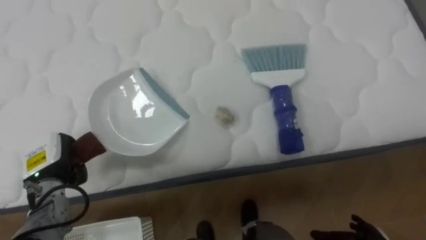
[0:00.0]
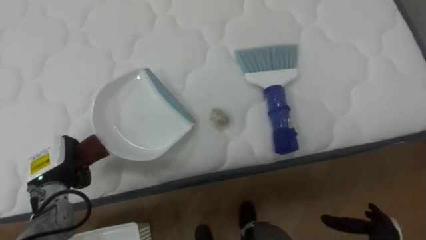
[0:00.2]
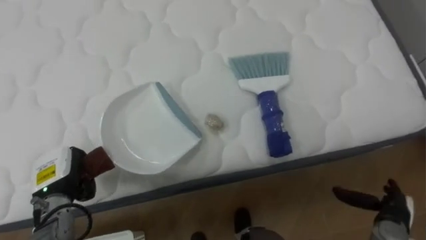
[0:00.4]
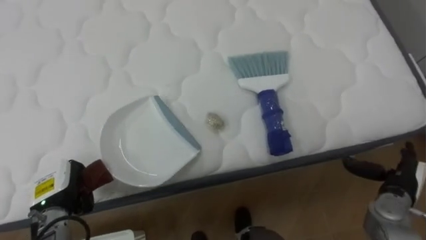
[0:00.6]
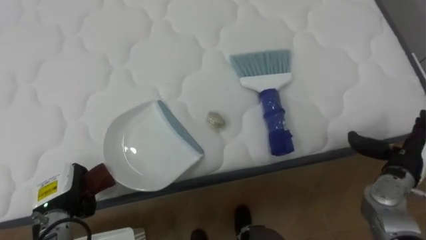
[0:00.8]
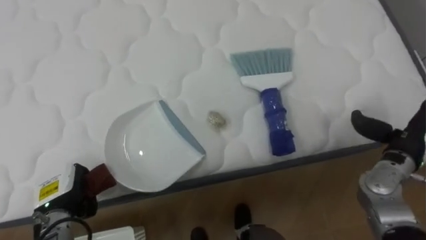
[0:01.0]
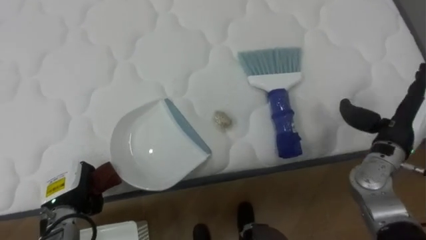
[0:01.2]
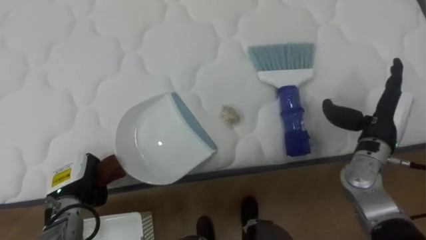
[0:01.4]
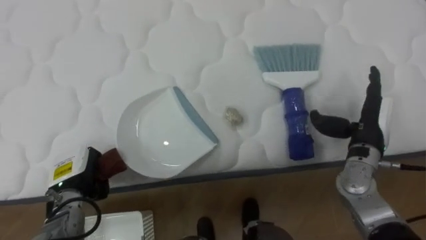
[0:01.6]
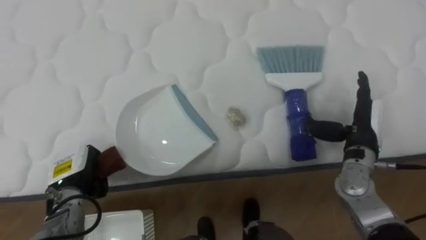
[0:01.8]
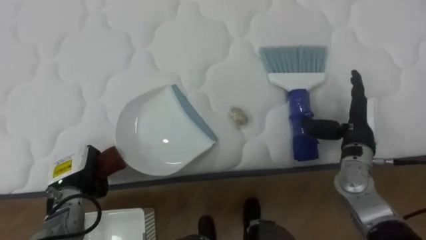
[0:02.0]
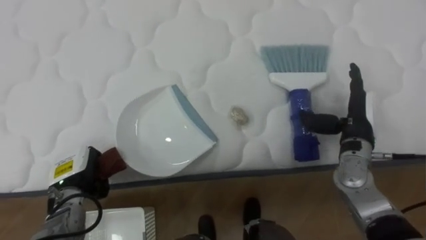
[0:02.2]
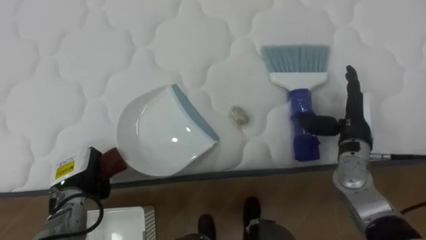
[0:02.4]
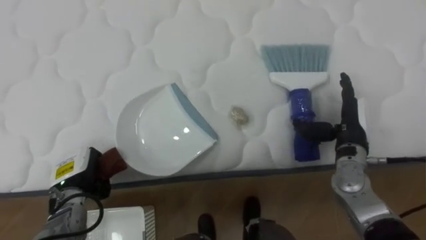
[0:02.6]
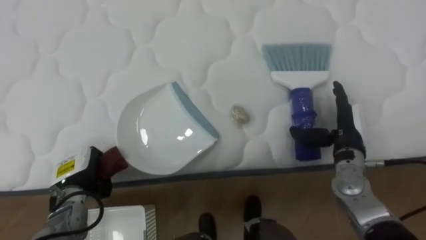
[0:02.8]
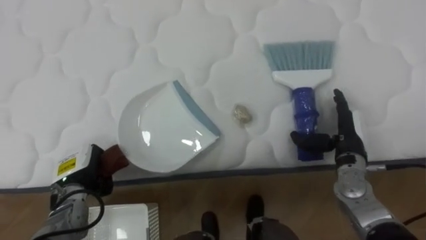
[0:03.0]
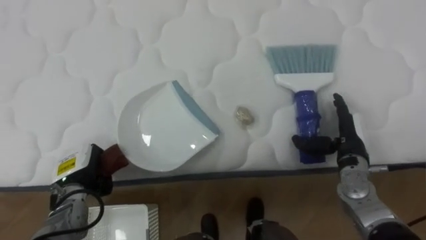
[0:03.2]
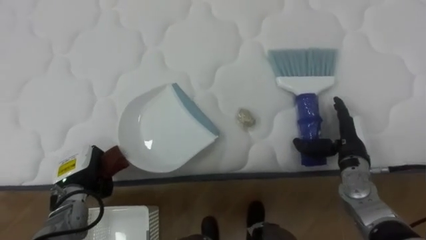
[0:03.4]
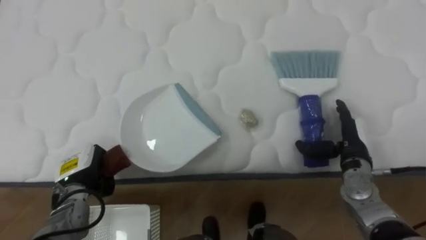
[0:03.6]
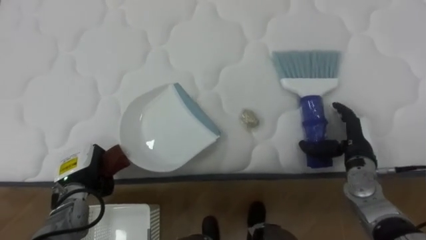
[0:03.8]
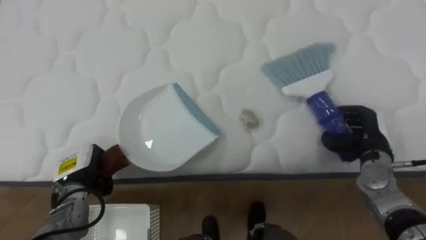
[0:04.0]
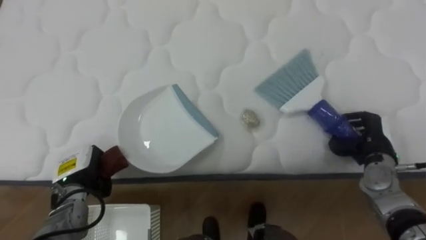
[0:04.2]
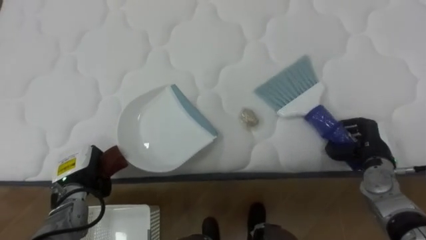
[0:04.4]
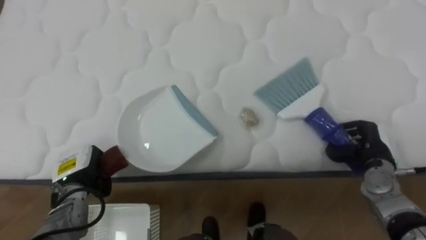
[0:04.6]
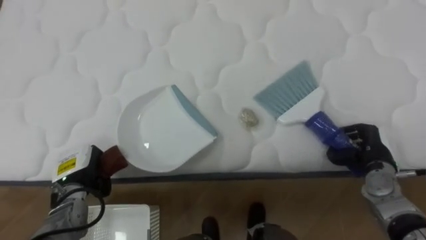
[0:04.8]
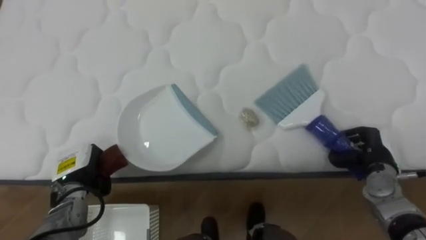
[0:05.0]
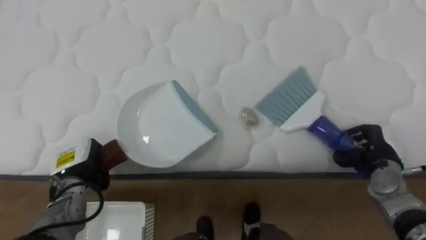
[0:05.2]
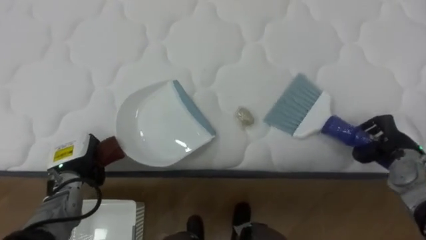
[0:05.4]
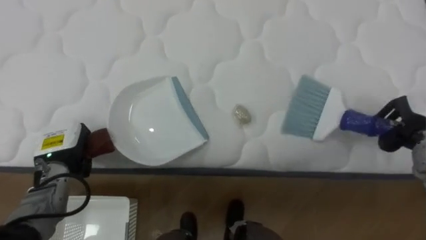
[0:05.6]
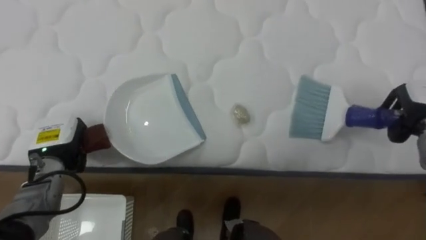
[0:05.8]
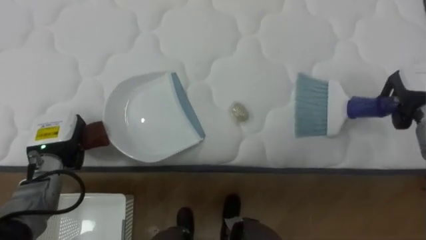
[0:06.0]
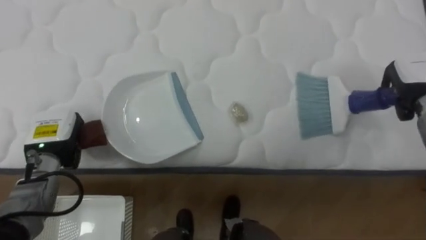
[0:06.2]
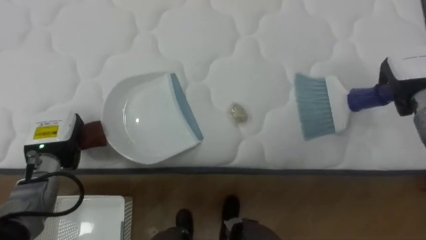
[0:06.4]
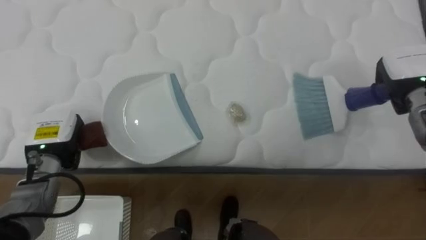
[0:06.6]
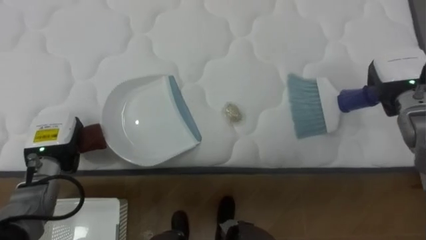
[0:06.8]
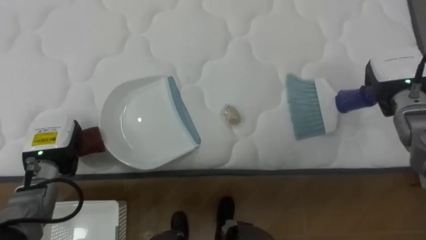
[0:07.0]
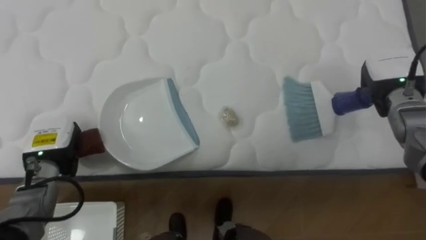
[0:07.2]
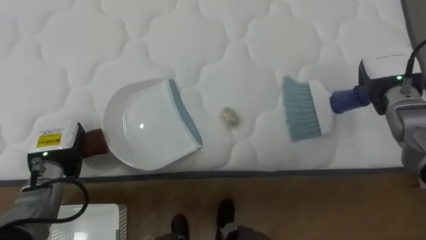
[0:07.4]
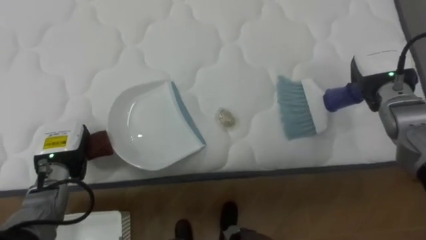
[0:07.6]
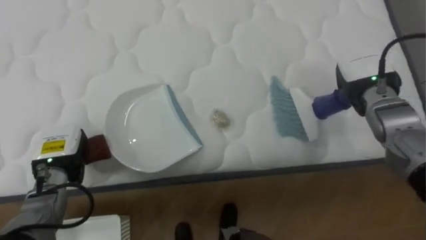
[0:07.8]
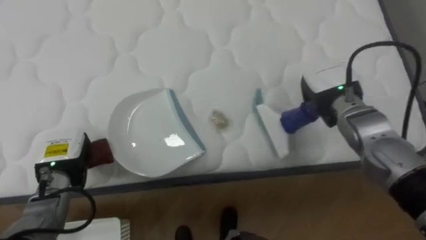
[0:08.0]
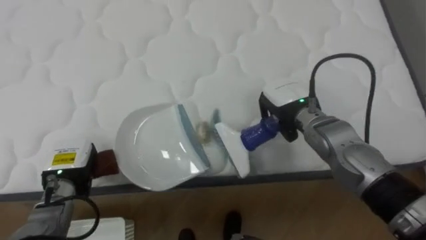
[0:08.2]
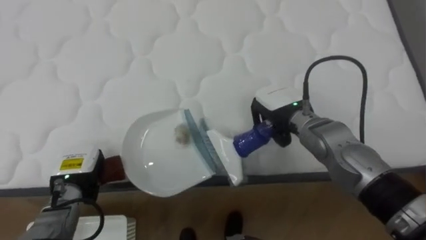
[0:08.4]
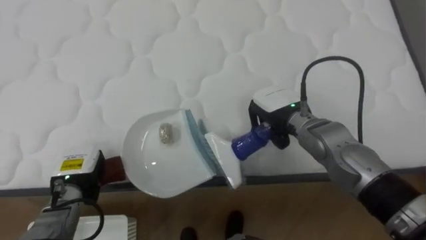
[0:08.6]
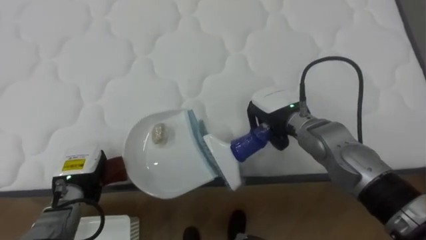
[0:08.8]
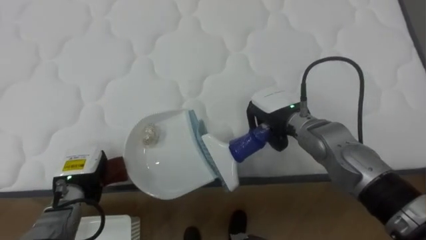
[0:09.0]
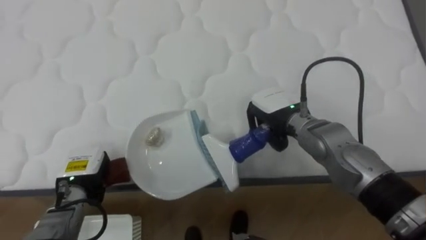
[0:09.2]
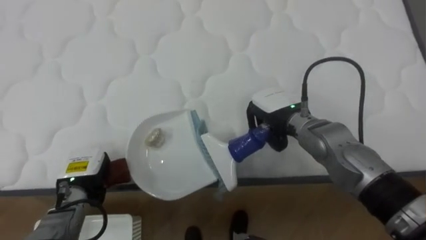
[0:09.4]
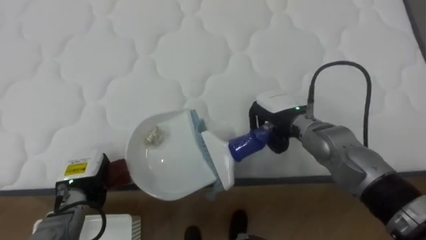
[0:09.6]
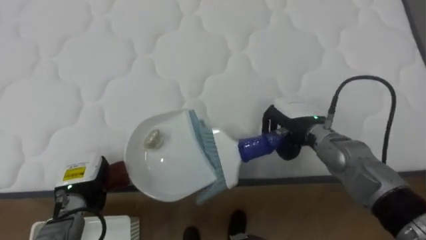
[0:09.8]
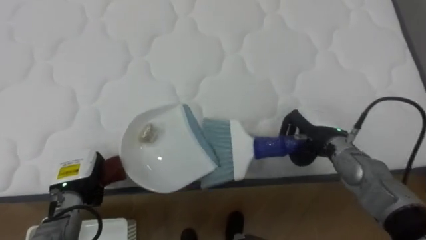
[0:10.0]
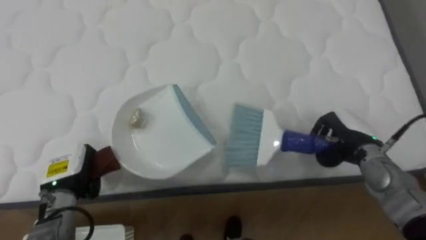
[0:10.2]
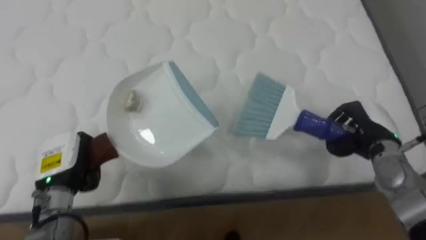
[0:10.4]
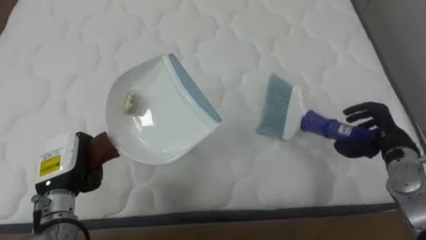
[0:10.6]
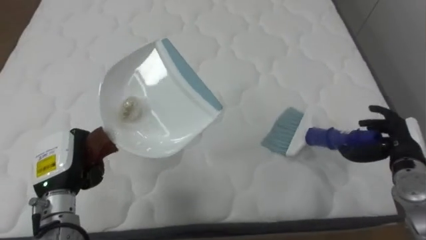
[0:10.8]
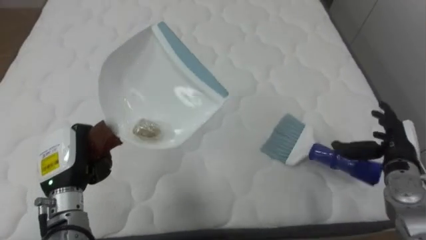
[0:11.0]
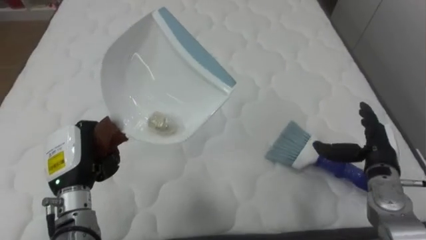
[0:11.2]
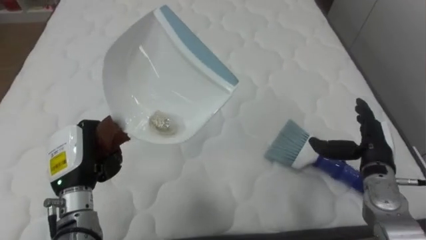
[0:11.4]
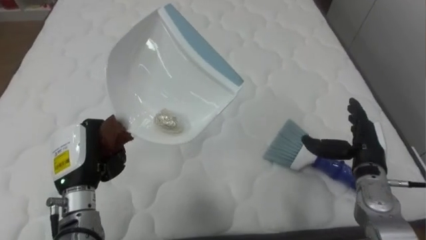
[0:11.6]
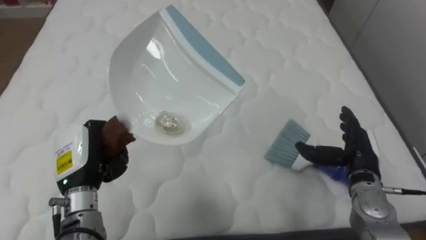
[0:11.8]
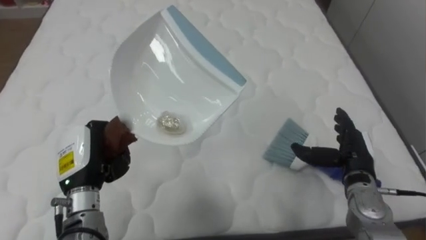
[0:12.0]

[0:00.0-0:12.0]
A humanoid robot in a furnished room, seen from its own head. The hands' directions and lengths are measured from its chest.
Task of the whole recording: Pick up the brush on your right and the dustpan on your left. Use the brush to sweep the crumpled paper on the bed into the dustpan, then turn left and empty it into the basket.
0:00.0 to 0:01.6: The left hand ends up approximately 5 cm from where it was.
0:01.6 to 0:03.0: The right hand shifts by some 5 cm.
0:03.0 to 0:04.4: The right hand moves to the right, some 5 cm, and closes its fingers.
0:04.4 to 0:06.0: The right hand travels upward, forward and to the right by roughly 15 cm, while the left hand moves upward, about 5 cm.
0:06.0 to 0:07.6: The right hand shifts approximately 10 cm to the left.
0:07.6 to 0:09.0: The right hand shifts roughly 20 cm to the left. Meanwhile the left hand ends up approximately 5 cm from where it was.
0:09.0 to 0:10.4: The right hand shifts approximately 20 cm to the right.
0:10.4 to 0:12.0: The left hand moves about 5 cm; the right hand ends up approximately 5 cm from where it was, and opens its fingers.

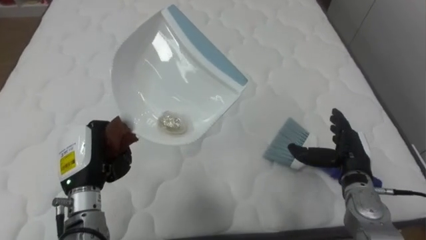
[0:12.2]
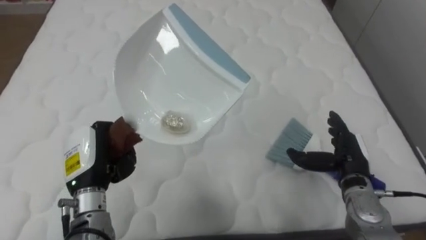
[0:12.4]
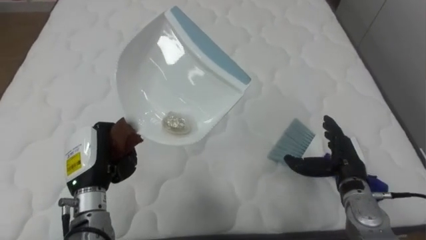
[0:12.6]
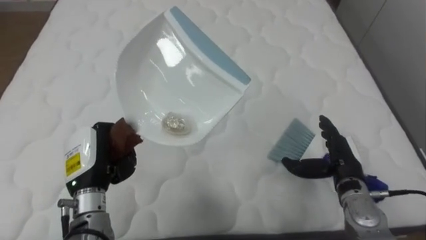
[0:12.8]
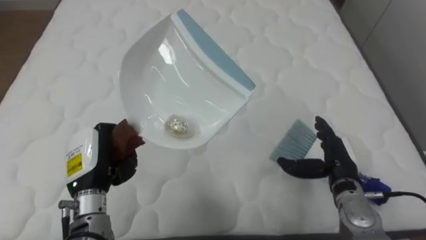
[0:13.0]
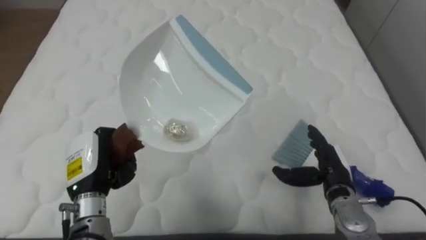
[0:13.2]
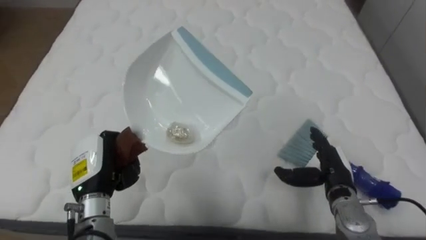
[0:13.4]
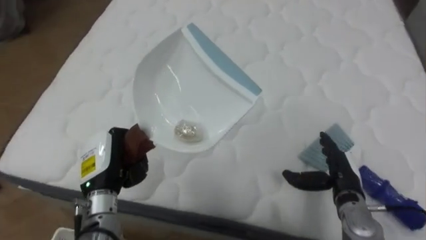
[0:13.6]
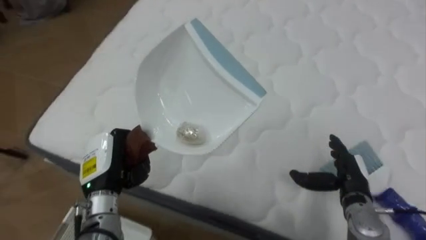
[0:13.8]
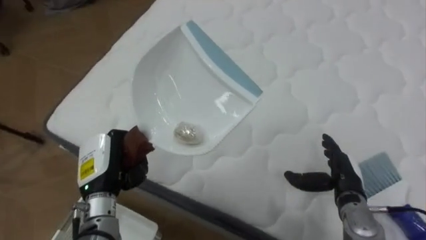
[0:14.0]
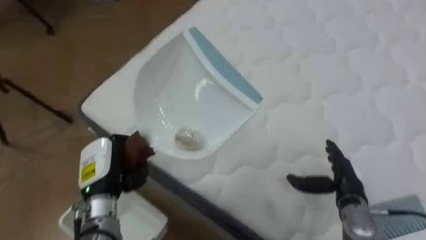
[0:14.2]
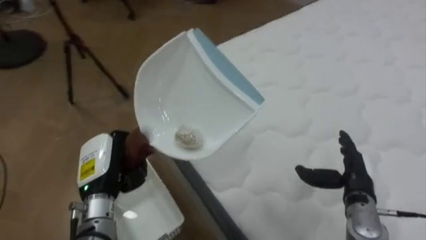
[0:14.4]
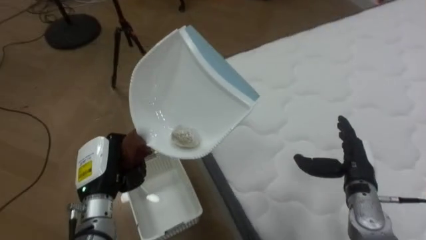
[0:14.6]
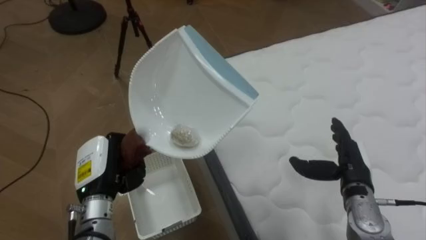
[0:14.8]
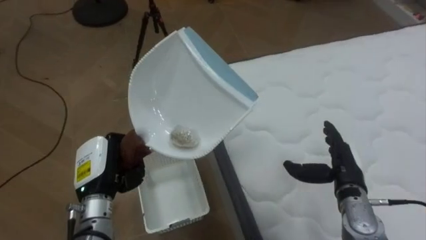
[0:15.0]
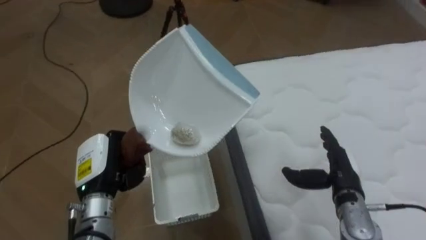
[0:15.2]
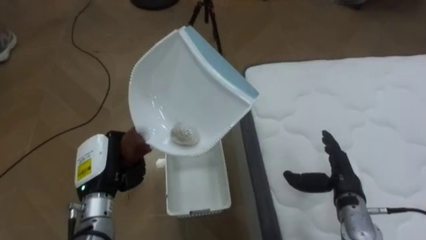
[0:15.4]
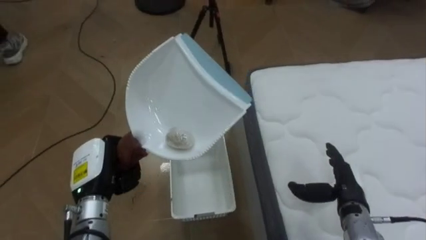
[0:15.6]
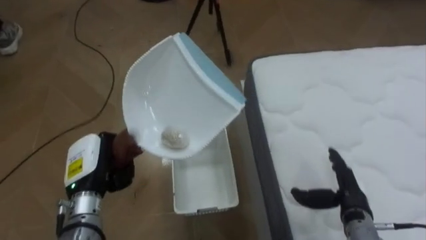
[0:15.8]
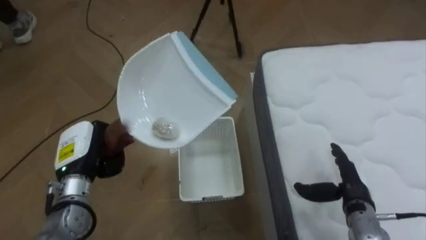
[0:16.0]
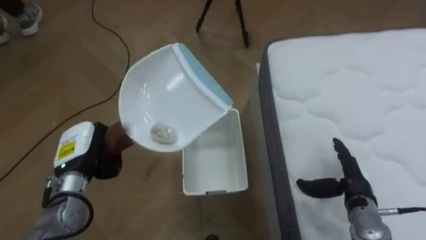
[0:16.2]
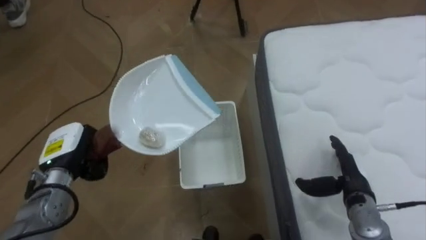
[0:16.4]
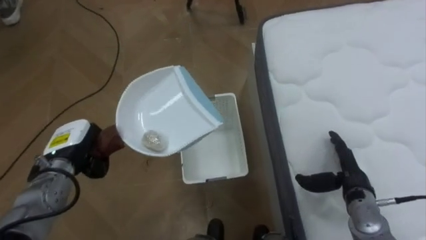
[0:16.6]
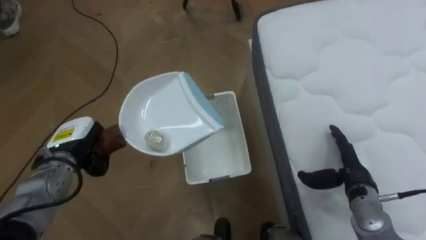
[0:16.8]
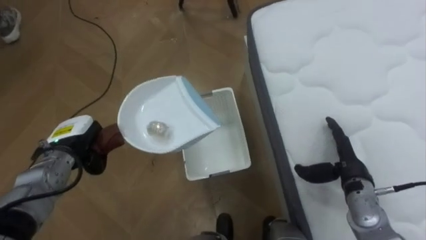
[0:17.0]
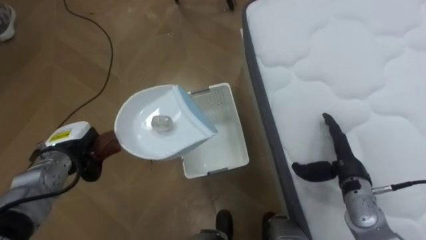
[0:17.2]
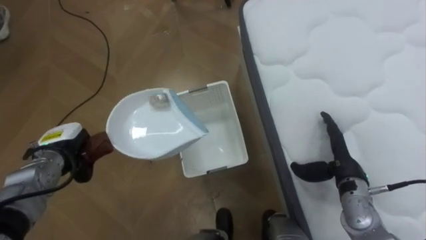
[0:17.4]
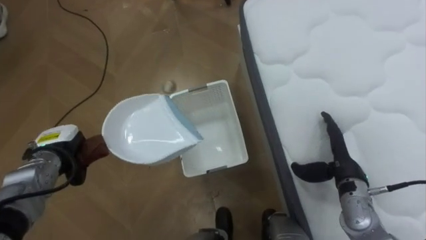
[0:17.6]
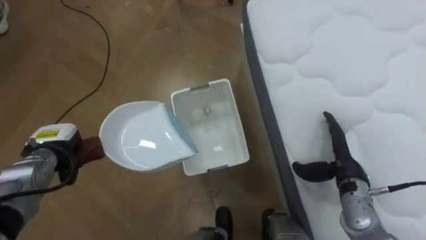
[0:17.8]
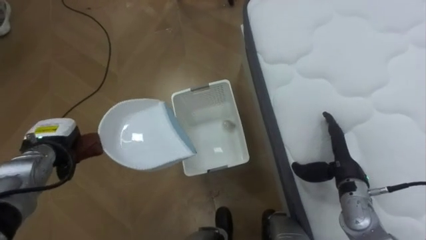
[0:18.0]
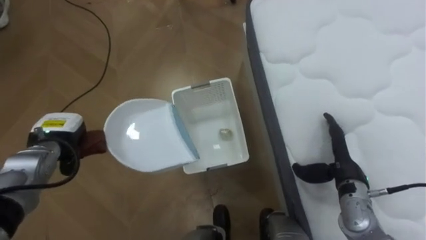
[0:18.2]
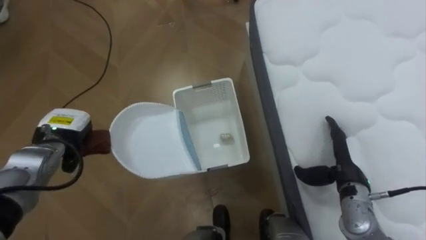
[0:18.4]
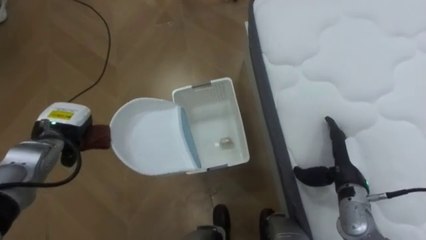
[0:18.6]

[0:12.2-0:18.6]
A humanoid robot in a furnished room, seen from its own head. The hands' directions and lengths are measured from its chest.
Task of the whole recording: Pick up the brush on your right and the dustpan on your left. Use the brush to sweep the crumpled paper on the bed into the dustpan, then turn left and empty it into the basket.
0:12.2 to 0:13.8: The robot rotates about 25 degrees to its left.
0:13.8 to 0:15.4: The robot faces roughly 60 degrees further to its left.
0:15.4 to 0:17.0: The left hand moves forward and to the left, approximately 10 cm.
